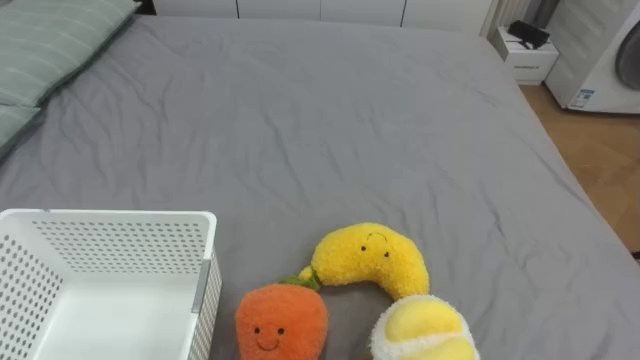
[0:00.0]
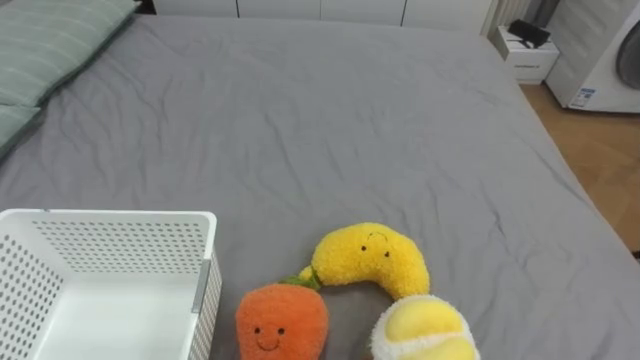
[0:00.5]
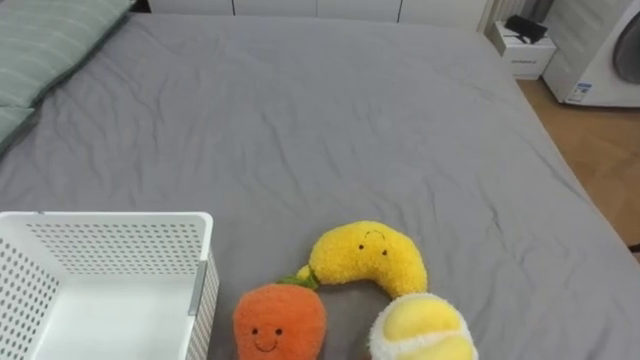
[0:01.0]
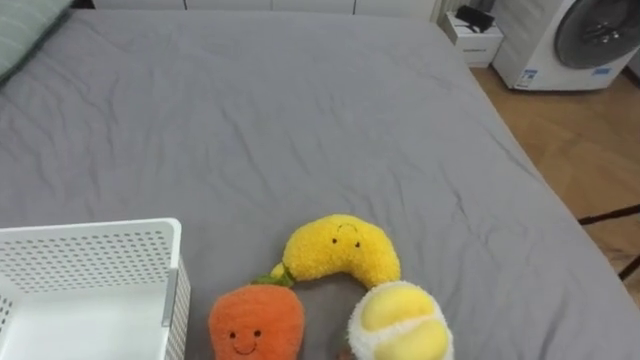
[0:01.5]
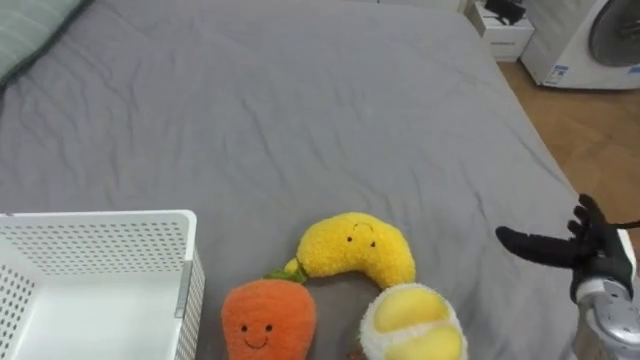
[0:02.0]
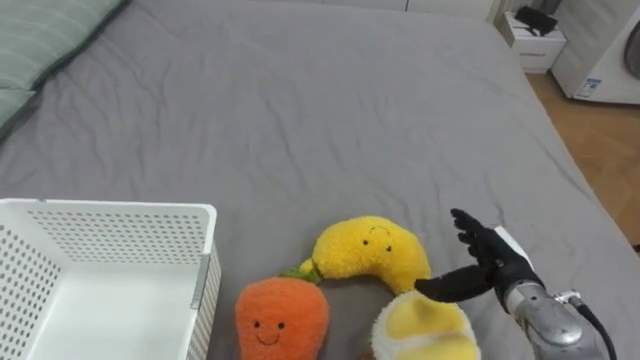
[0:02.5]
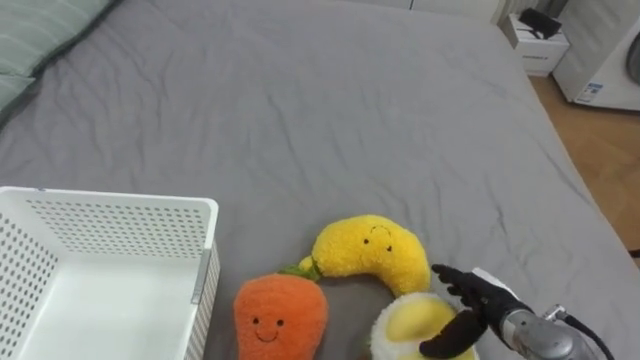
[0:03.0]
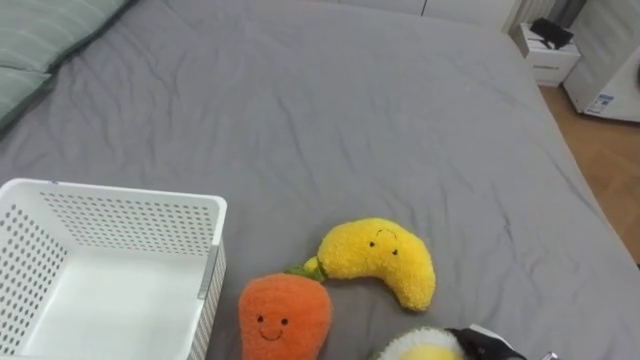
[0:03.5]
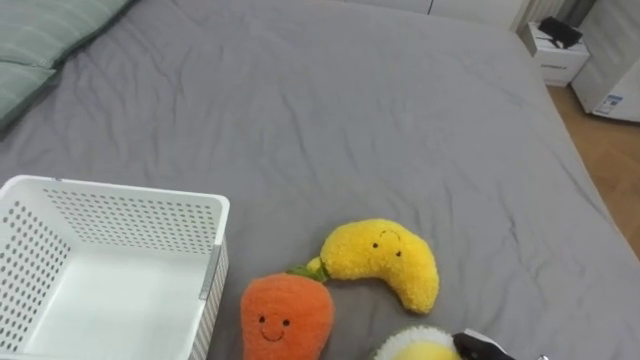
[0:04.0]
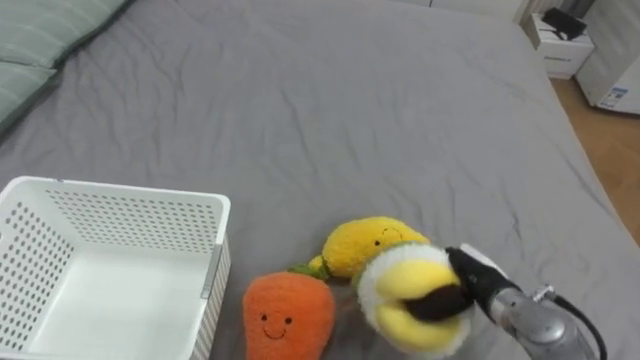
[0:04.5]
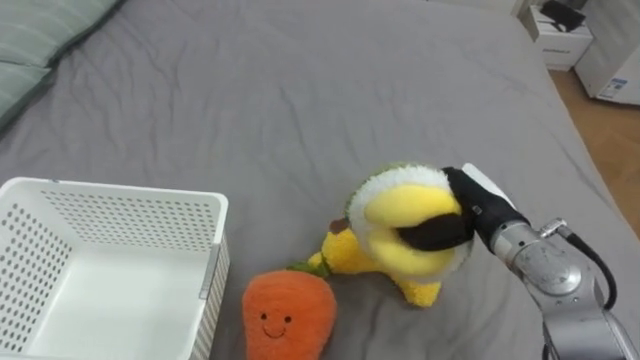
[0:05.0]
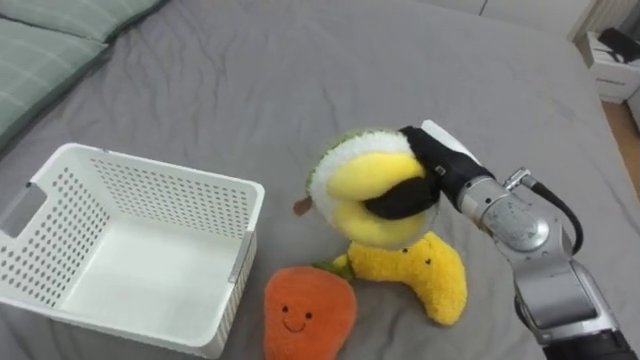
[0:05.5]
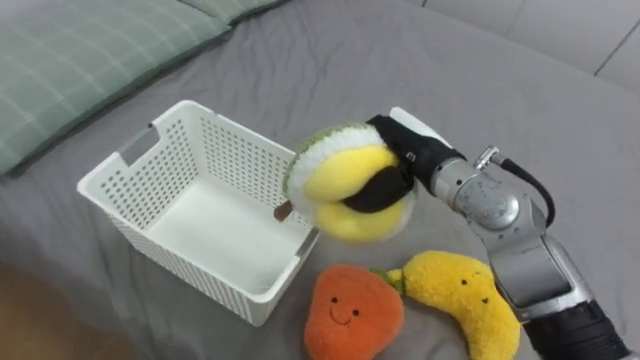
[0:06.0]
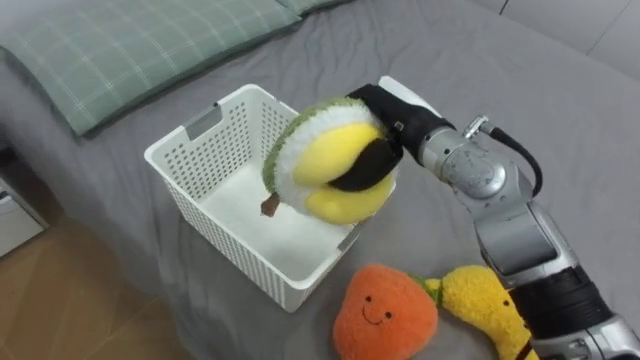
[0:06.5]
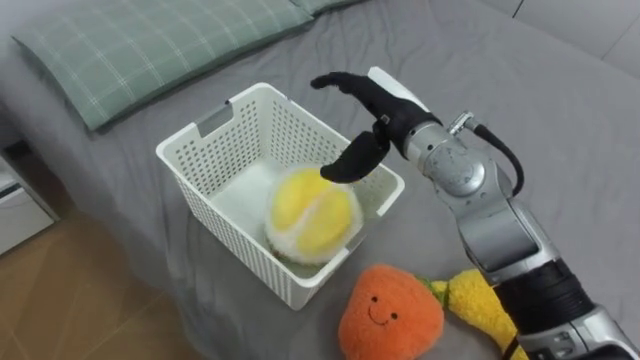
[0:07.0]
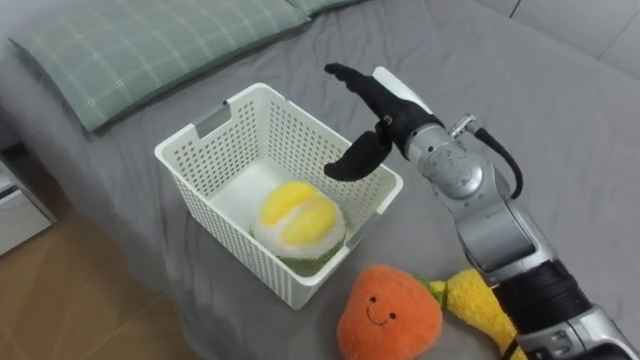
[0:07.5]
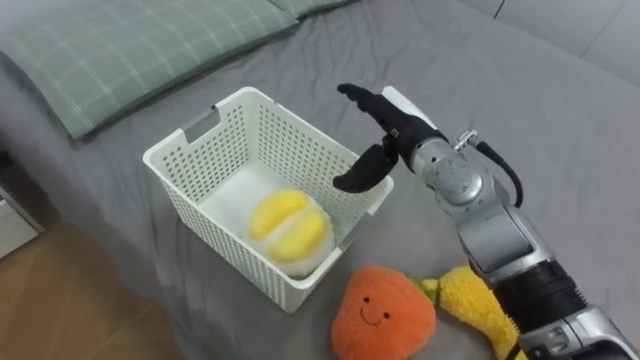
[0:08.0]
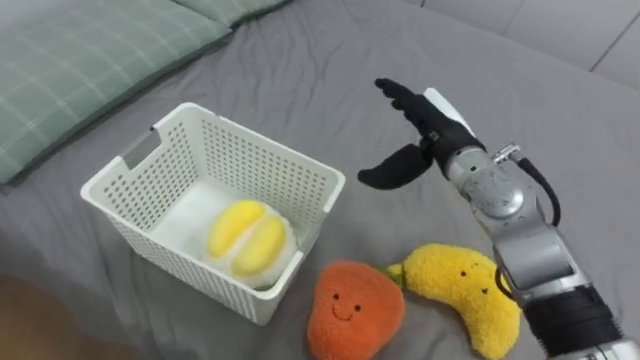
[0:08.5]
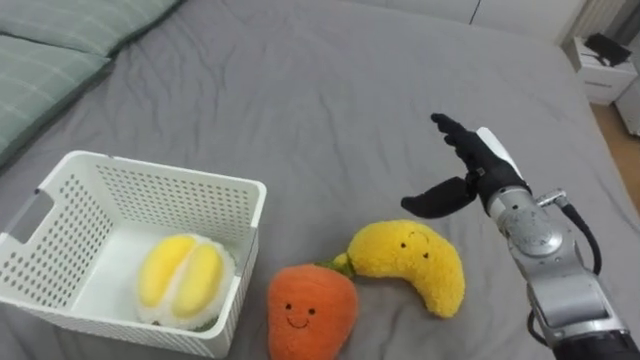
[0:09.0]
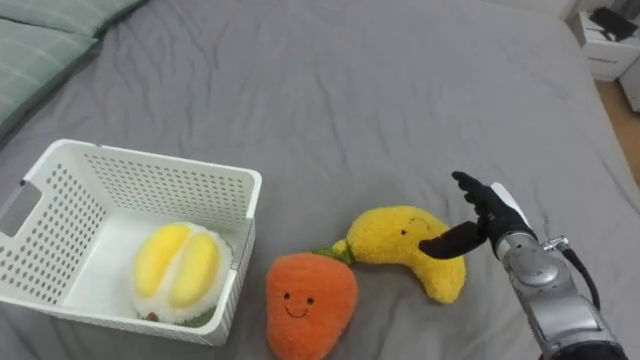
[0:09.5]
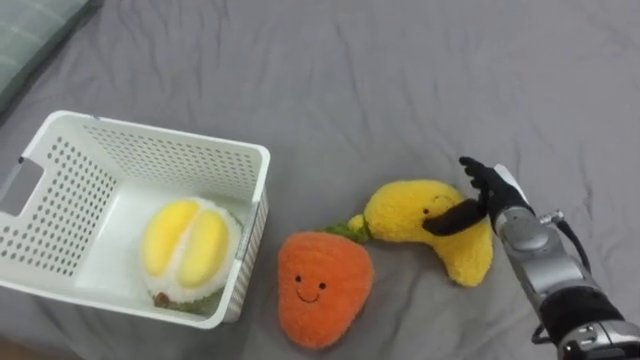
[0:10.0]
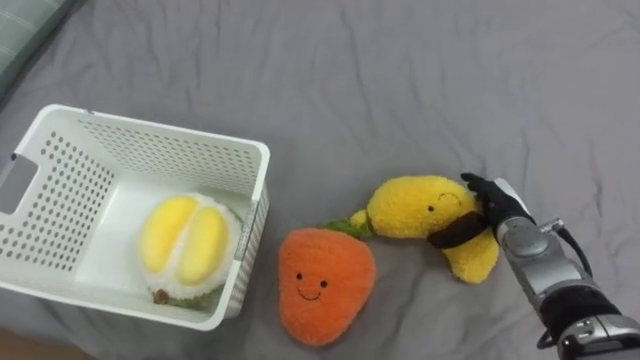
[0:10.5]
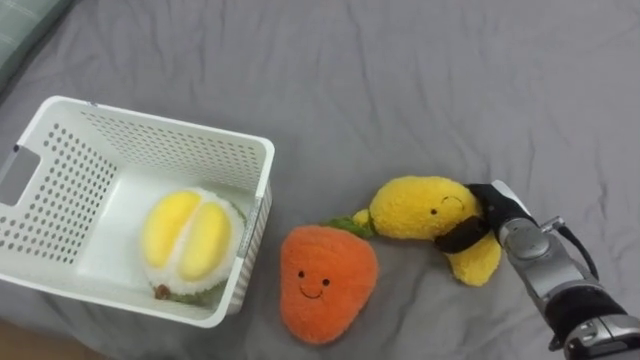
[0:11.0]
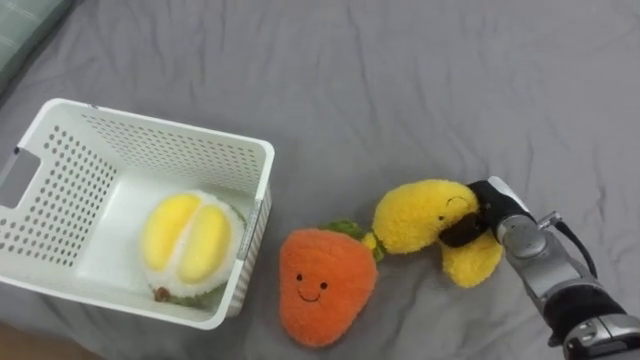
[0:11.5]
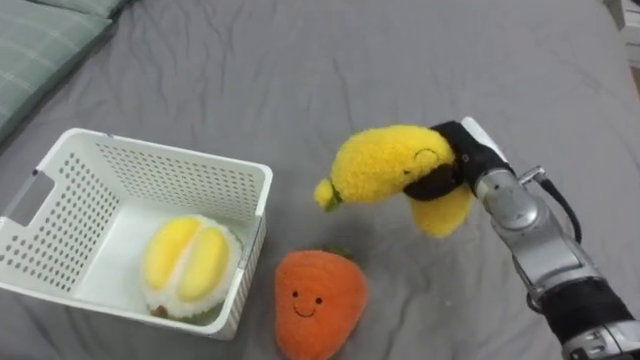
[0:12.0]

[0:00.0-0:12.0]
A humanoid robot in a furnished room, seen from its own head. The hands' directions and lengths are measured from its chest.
Task of the whole recording: Put the toys on the bed into the basket on the left.
0:02.0 to 0:04.0: The right hand travels downward, to the left and backward by about 20 cm, and closes.
0:04.0 to 0:06.0: The right hand is displaced upward, forward and to the left by about 35 cm.
0:06.0 to 0:08.0: The right hand opens.
0:08.0 to 0:10.0: The right hand is displaced to the right and downward by approximately 20 cm.
0:10.0 to 0:12.0: The right hand heads upward, covering some 5 cm, and closes its fingers.

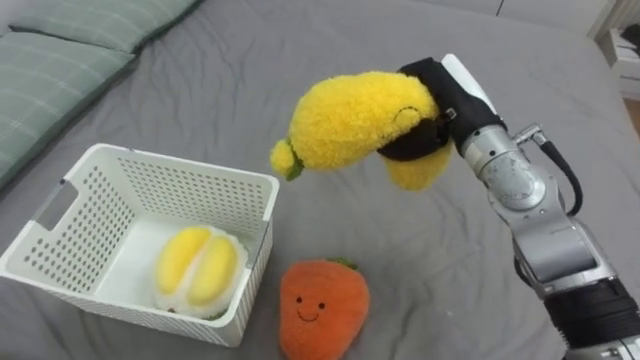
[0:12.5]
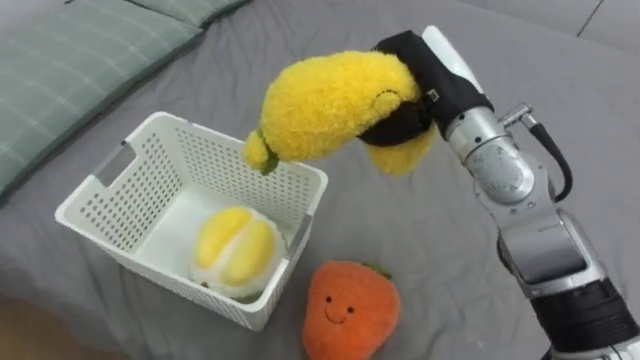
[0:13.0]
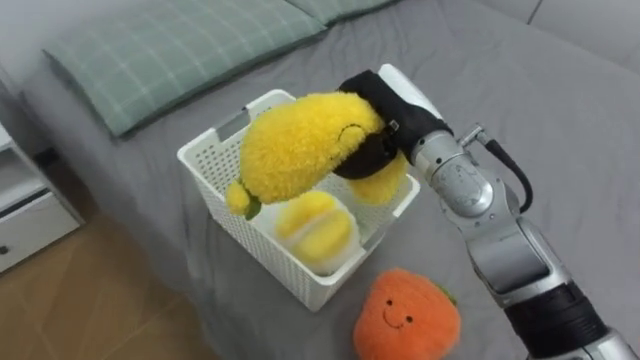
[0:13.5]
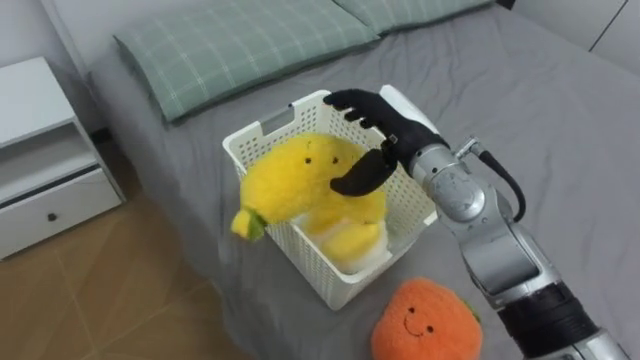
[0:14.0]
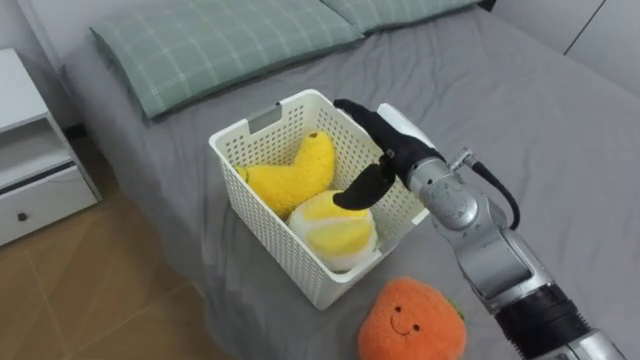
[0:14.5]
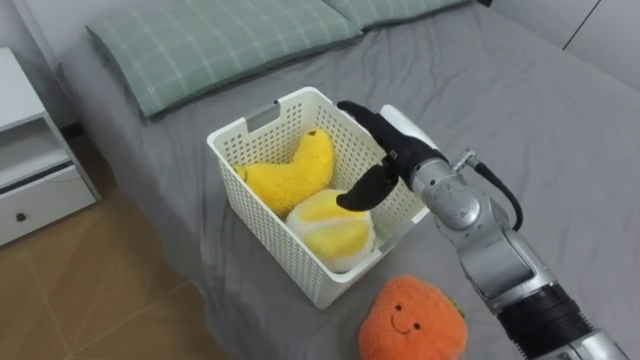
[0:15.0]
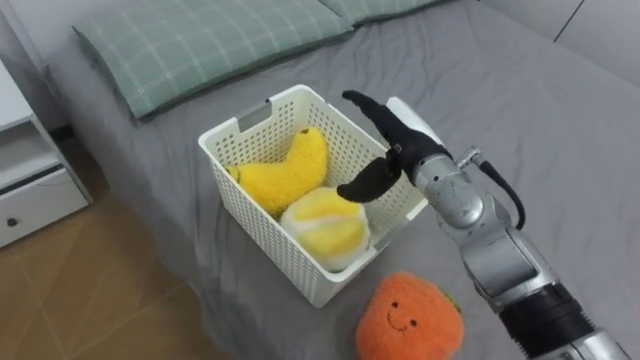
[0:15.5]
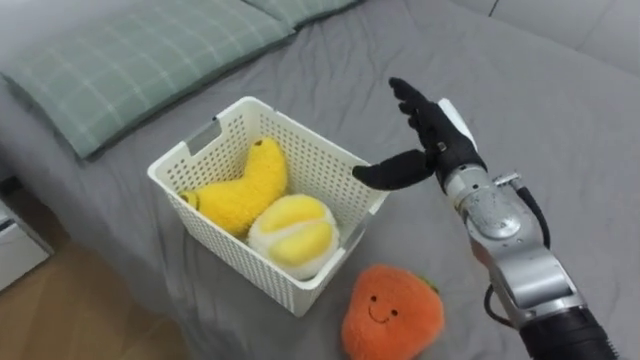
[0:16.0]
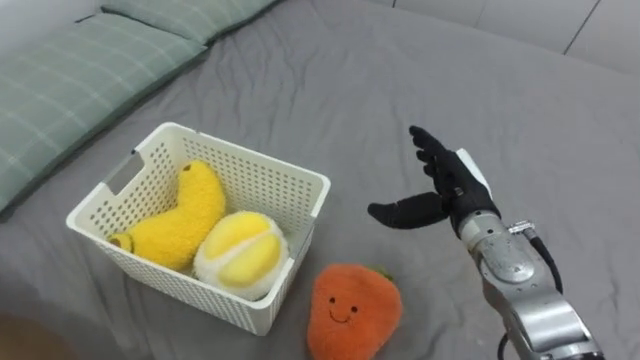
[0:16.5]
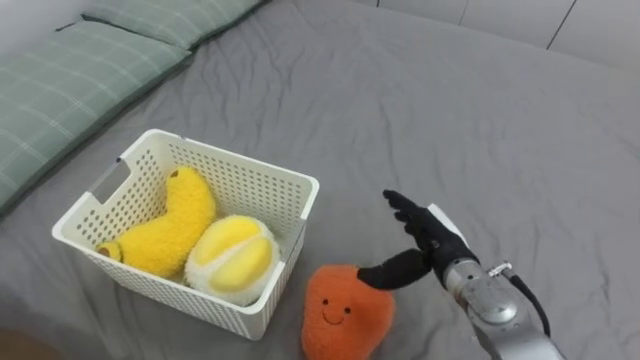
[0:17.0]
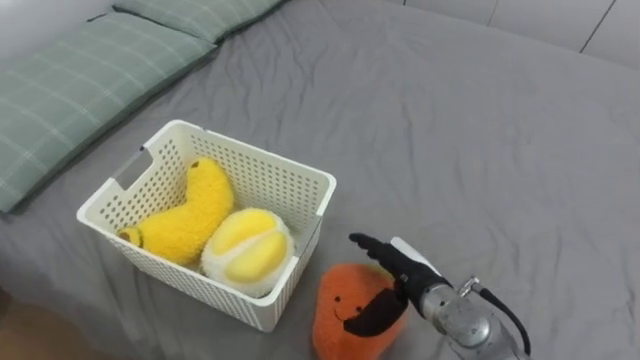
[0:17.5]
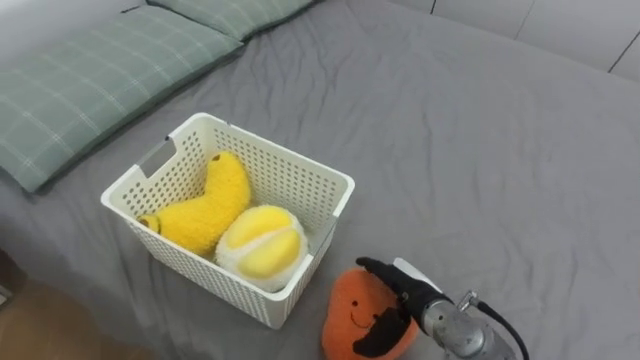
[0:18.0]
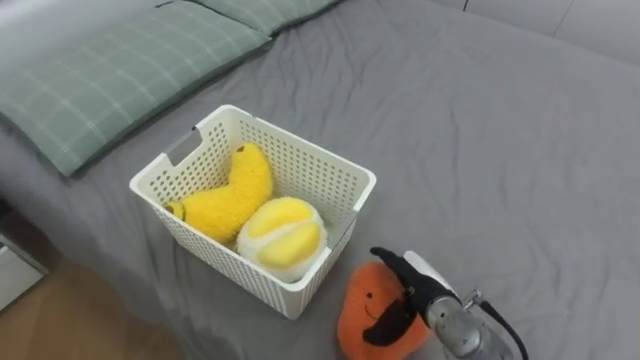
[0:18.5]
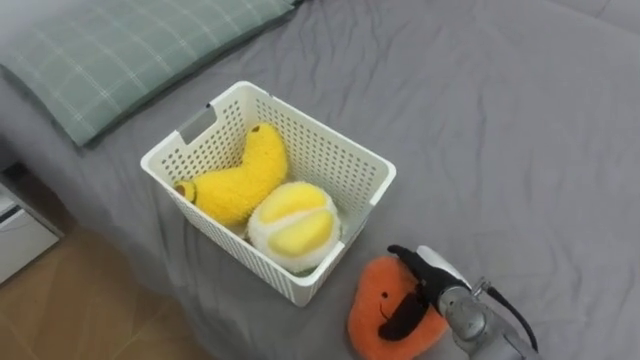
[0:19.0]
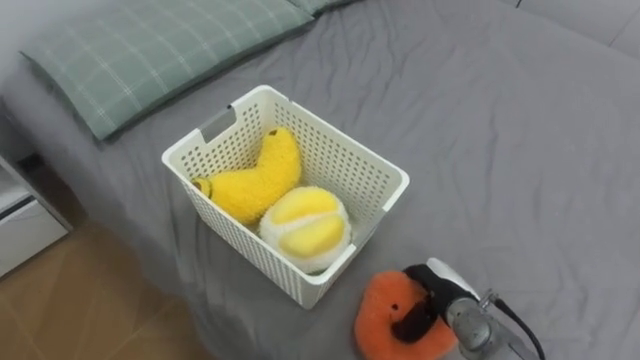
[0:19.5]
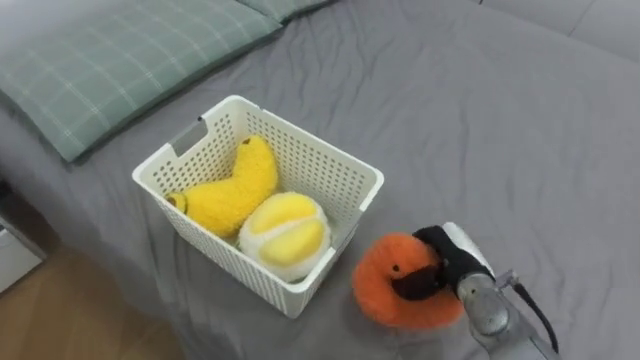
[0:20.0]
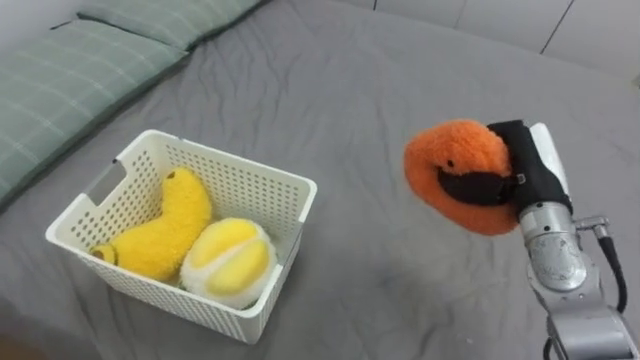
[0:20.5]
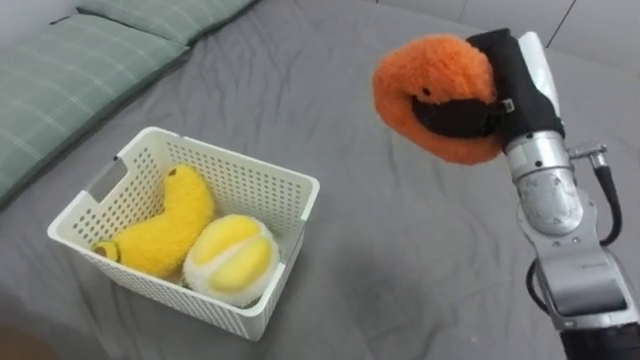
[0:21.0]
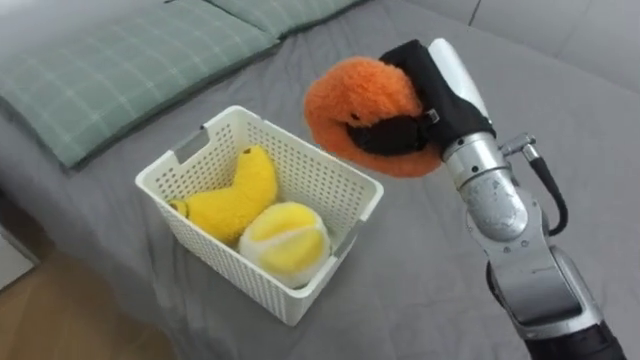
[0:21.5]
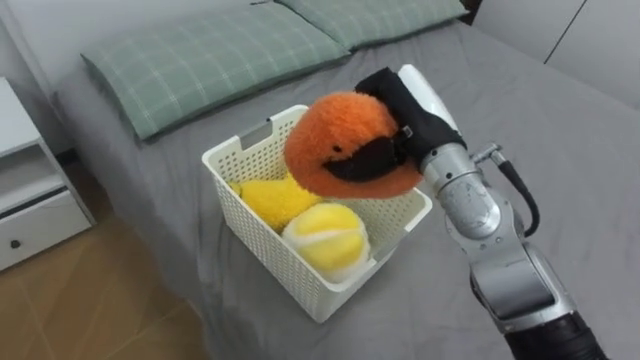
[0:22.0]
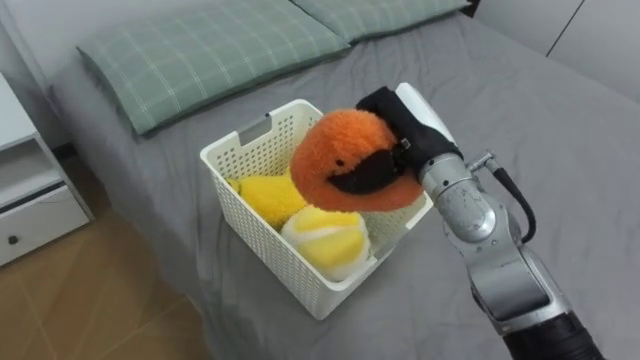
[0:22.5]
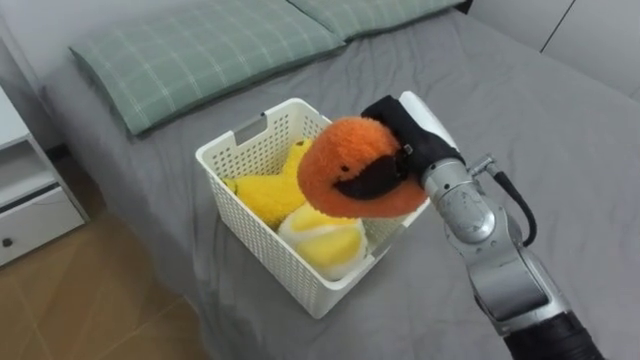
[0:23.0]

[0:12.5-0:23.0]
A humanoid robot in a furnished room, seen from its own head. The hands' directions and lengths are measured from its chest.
Task of the whole recording: Put the toys on the bed into the basket on the left.
0:12.5 to 0:14.5: The right hand moves to the left and downward, roughly 10 cm, and opens.
0:14.5 to 0:16.5: The right hand travels to the right and downward by approximately 10 cm.
0:16.5 to 0:19.0: The right hand is displaced downward and backward by some 15 cm.
0:19.0 to 0:21.0: The right hand is displaced upward by about 30 cm, and closes.
0:21.0 to 0:23.0: The right hand heads to the left and downward, covering approximately 10 cm.
